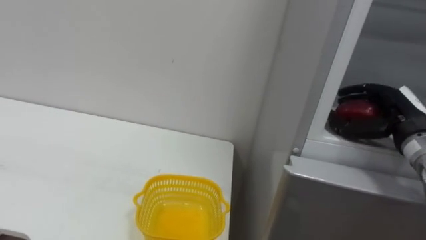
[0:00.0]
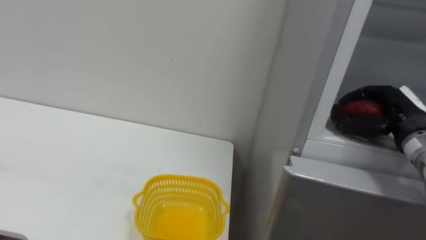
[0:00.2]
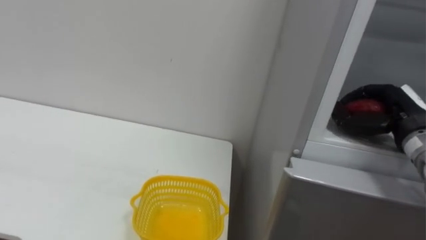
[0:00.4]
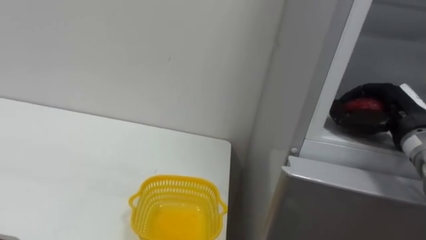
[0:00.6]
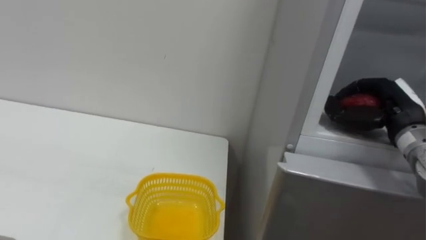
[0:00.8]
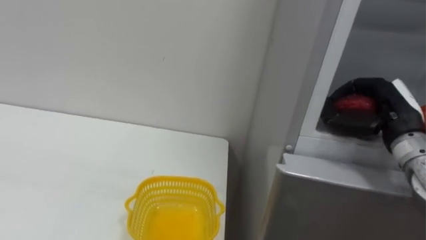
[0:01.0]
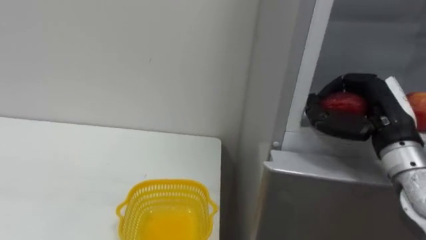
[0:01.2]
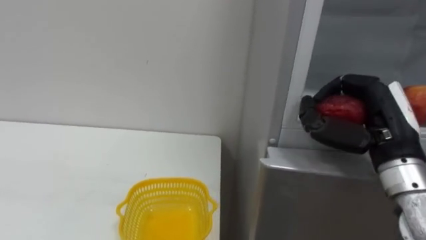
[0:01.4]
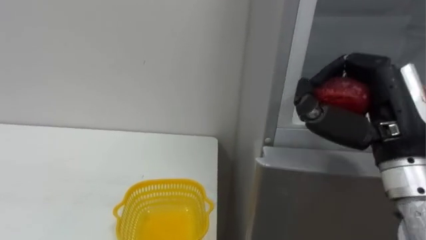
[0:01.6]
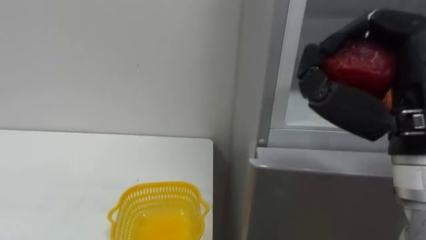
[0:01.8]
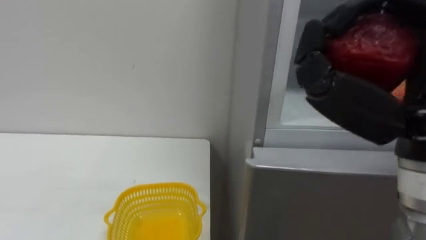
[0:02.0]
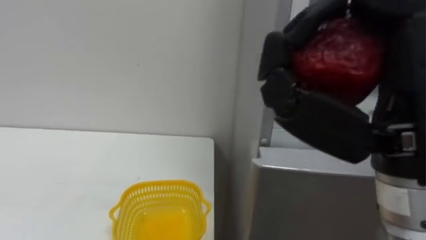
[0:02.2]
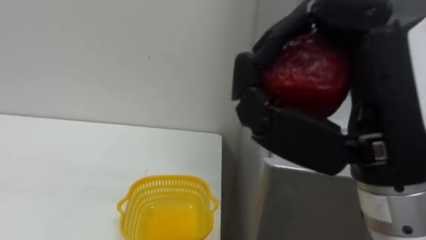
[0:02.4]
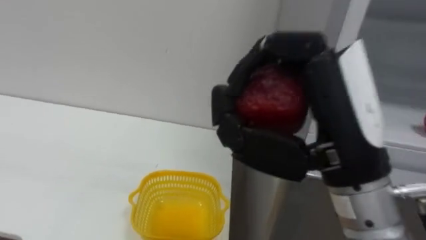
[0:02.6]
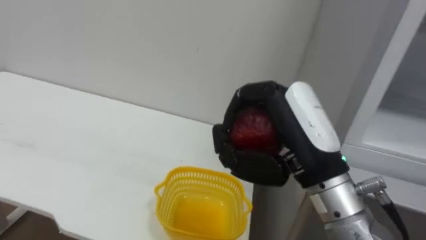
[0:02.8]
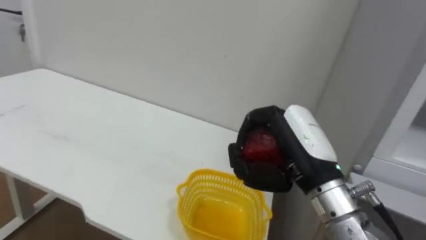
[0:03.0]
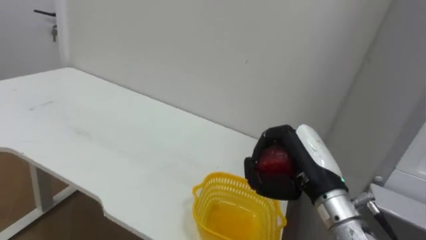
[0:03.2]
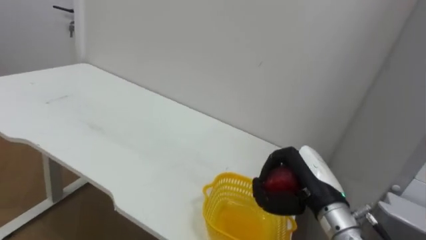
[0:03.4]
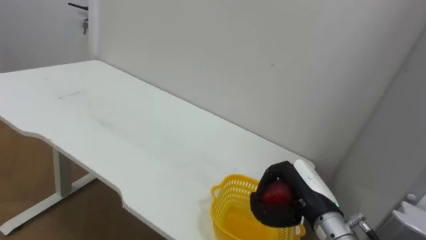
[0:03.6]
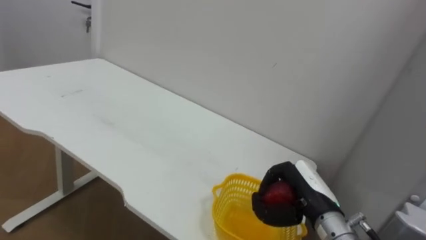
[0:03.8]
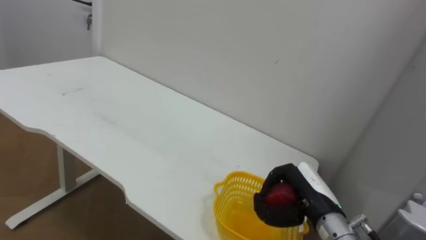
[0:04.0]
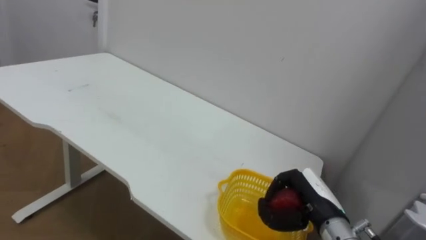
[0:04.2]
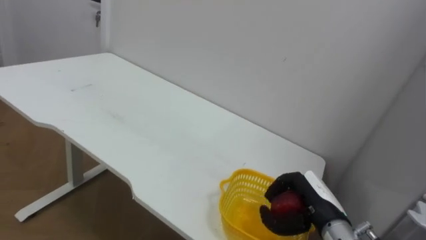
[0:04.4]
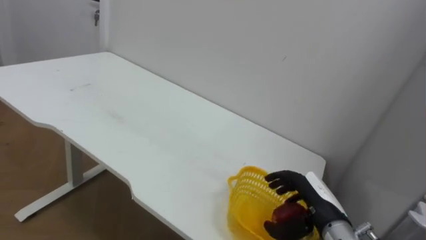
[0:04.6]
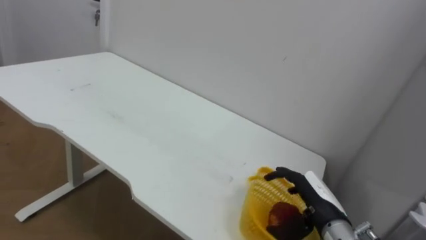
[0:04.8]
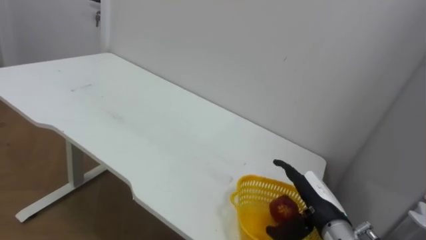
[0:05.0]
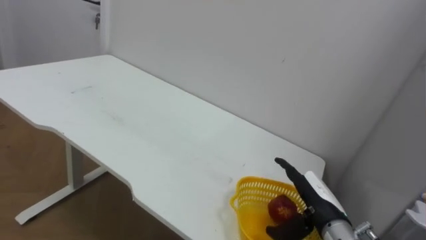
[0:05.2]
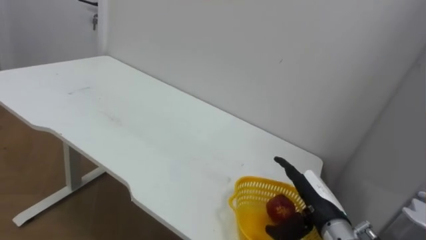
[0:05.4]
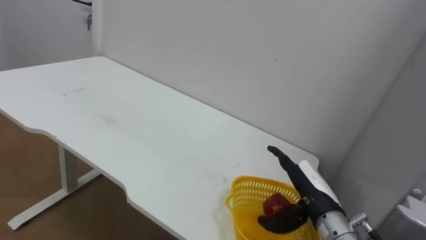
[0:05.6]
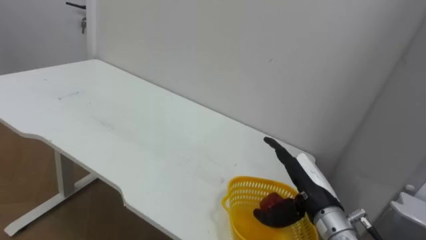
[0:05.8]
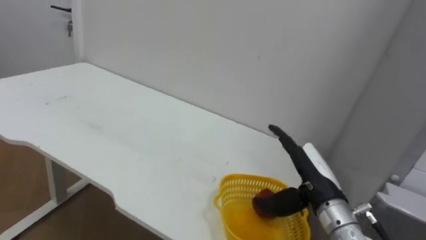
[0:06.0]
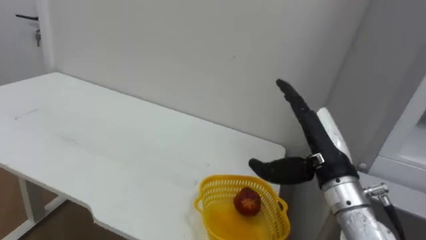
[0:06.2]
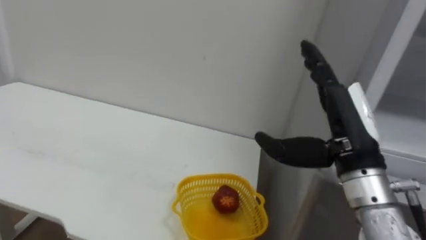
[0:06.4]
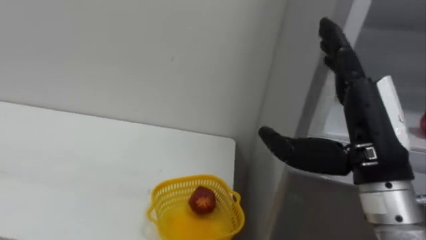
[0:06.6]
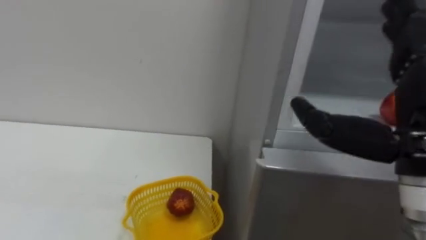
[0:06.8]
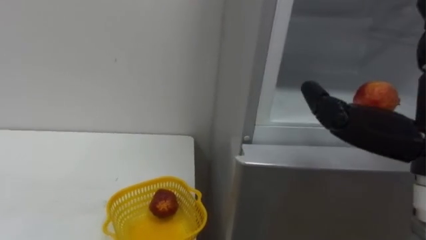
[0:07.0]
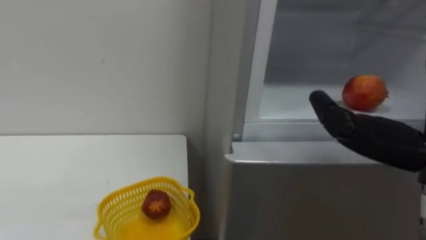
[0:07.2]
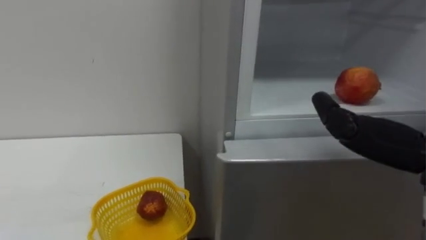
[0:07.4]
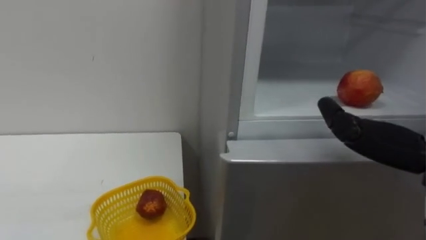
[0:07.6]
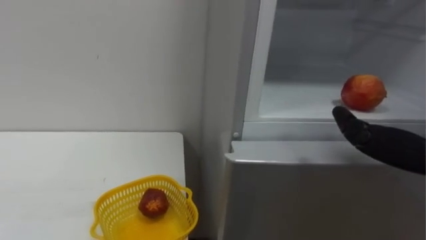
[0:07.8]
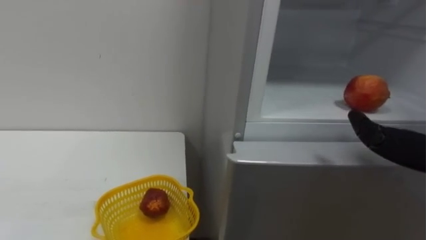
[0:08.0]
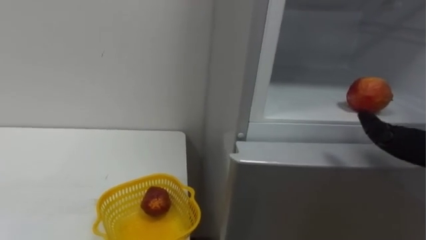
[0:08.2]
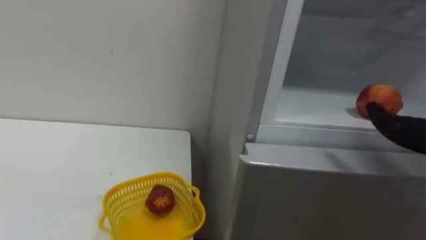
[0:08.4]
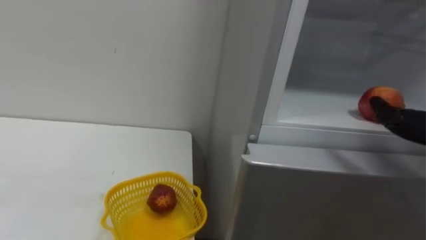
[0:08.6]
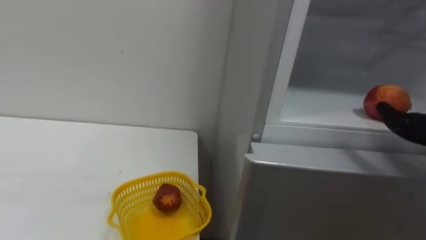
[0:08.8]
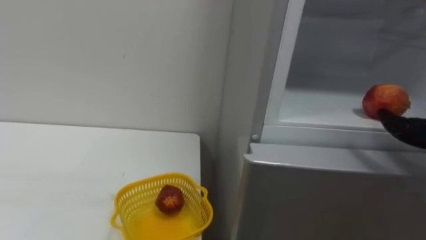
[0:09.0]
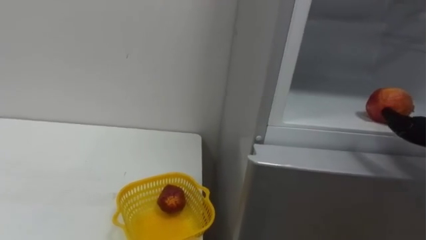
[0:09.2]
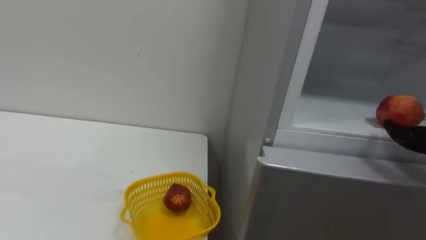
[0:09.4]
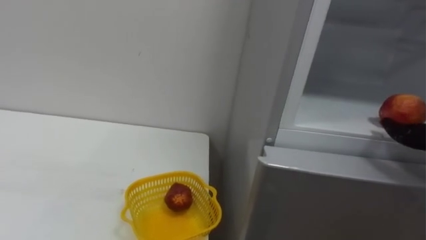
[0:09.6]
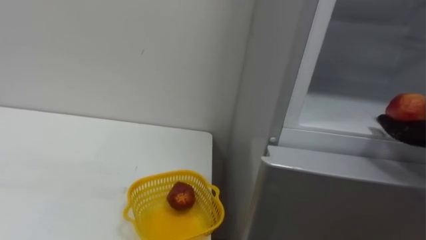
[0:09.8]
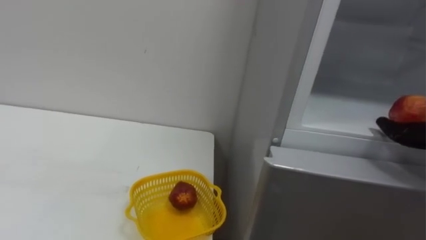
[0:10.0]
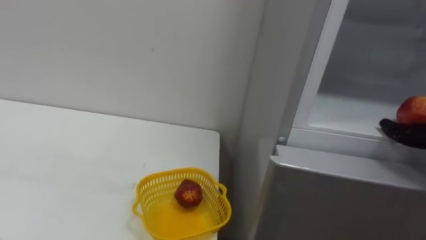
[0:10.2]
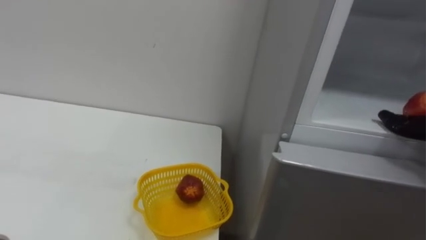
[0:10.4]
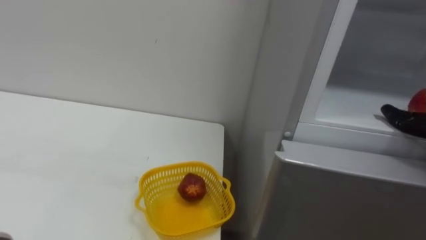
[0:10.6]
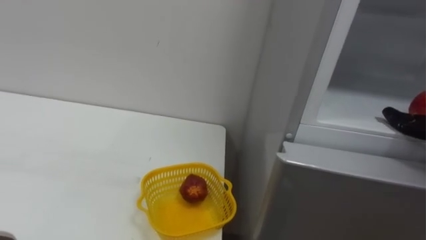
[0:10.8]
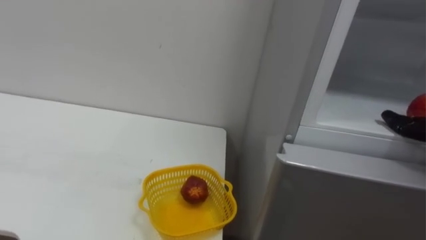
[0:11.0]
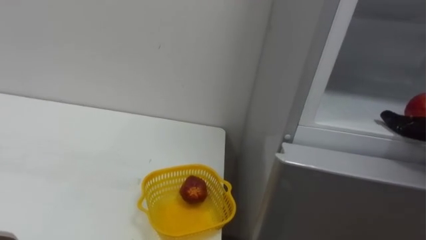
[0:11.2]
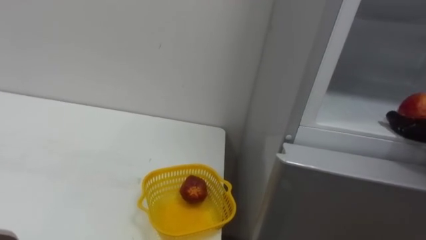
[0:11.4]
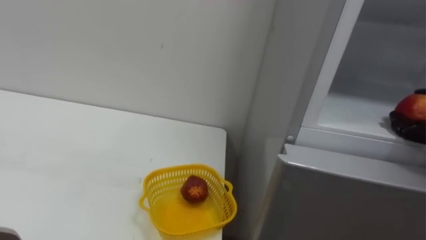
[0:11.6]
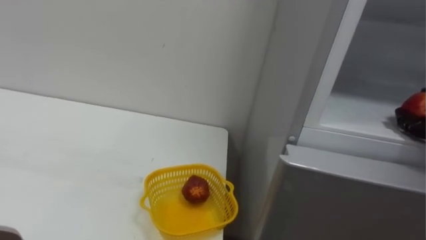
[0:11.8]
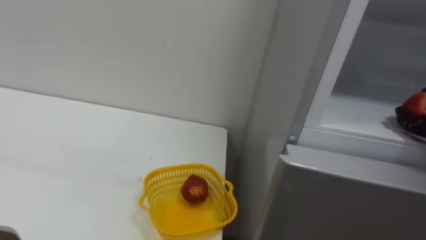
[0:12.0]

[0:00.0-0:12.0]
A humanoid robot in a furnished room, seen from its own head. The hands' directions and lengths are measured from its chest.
Task of the whole recording: Open the refrigerator door, take out the apple and the pomegranate, place them in the fruit basket on the left, and close the refrigerator door.
0.0 to 1.6 s: The right hand goes some 15 cm backward, to the left and upward.
1.6 to 3.0 s: The right hand shifts some 10 cm to the left and downward.
3.0 to 4.4 s: The right hand moves downward, approximately 15 cm.
4.4 to 6.0 s: The right hand travels upward by about 5 cm, and opens.

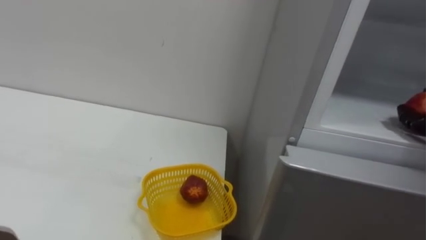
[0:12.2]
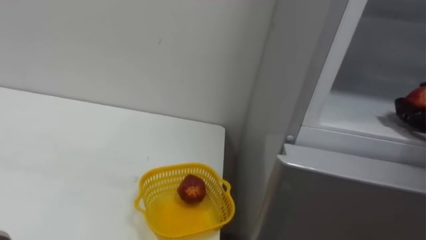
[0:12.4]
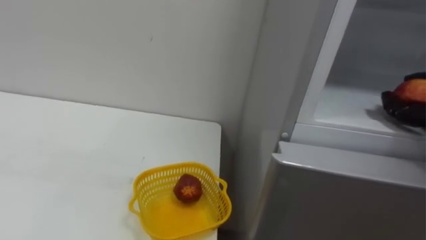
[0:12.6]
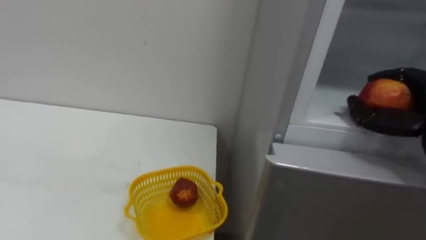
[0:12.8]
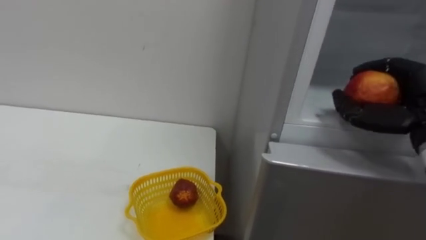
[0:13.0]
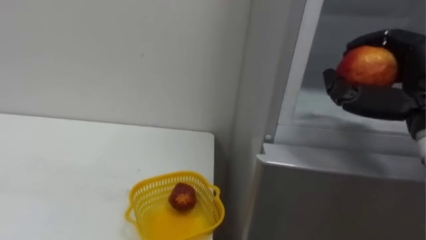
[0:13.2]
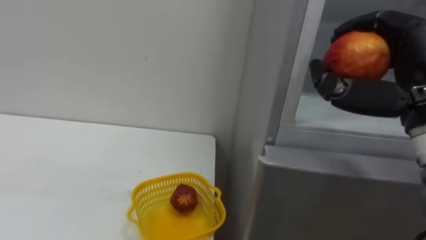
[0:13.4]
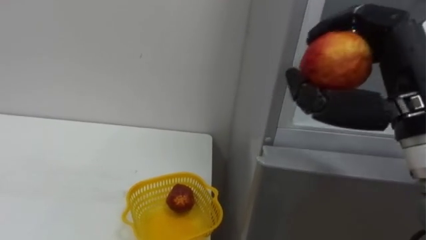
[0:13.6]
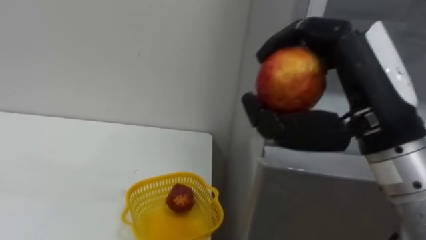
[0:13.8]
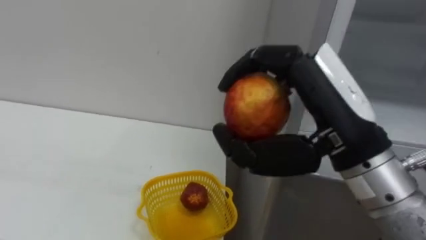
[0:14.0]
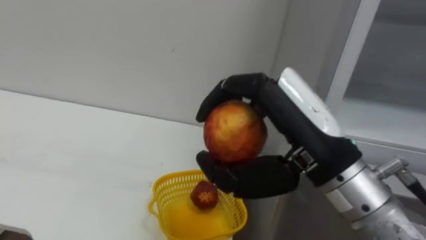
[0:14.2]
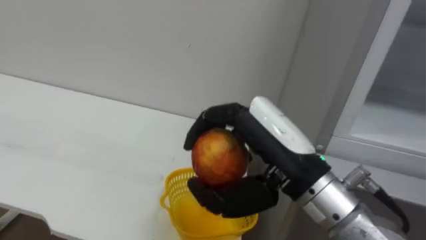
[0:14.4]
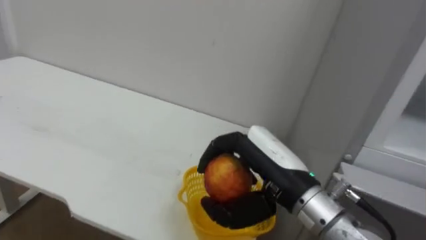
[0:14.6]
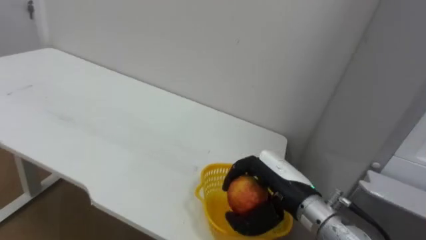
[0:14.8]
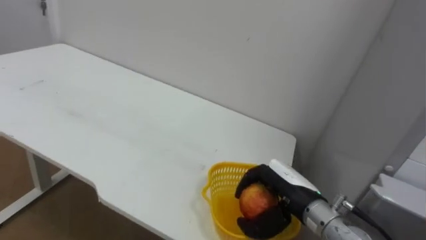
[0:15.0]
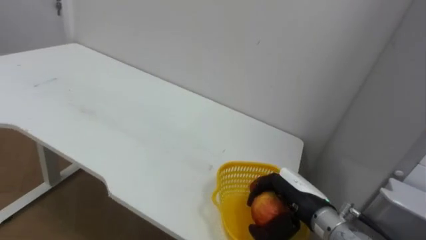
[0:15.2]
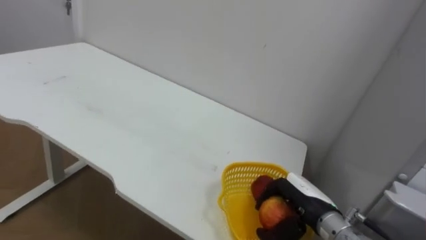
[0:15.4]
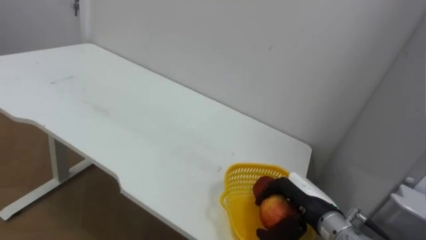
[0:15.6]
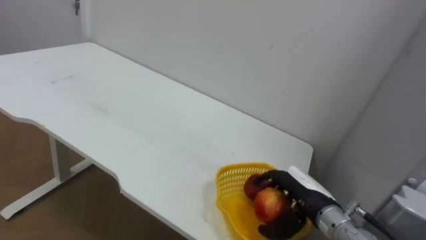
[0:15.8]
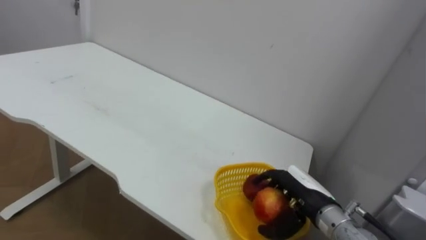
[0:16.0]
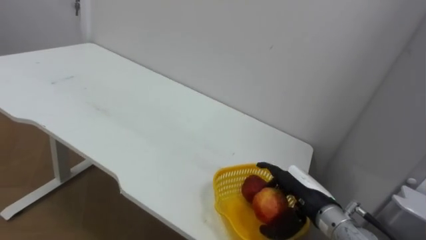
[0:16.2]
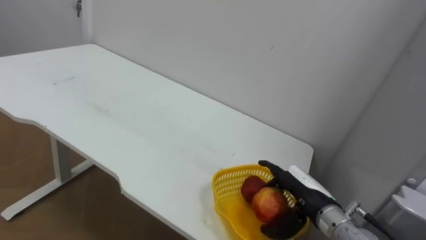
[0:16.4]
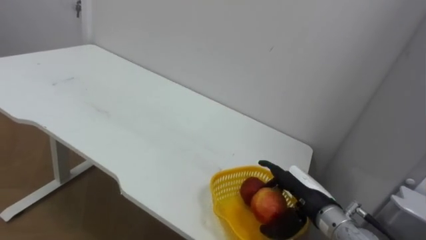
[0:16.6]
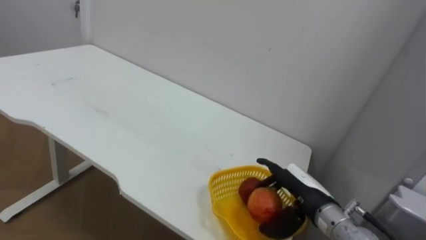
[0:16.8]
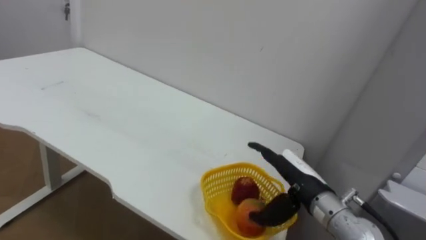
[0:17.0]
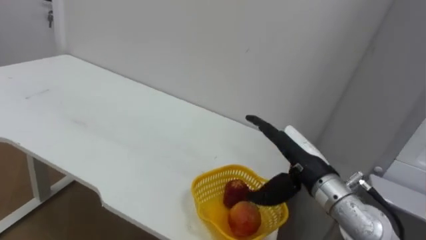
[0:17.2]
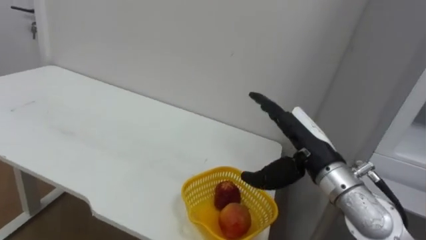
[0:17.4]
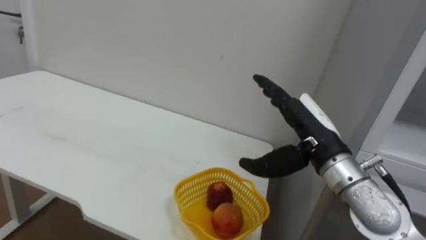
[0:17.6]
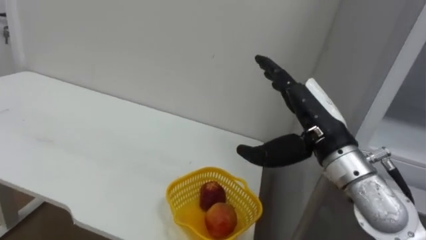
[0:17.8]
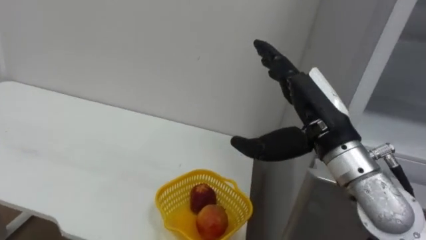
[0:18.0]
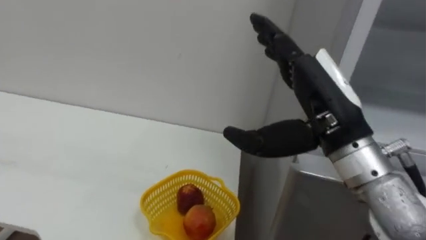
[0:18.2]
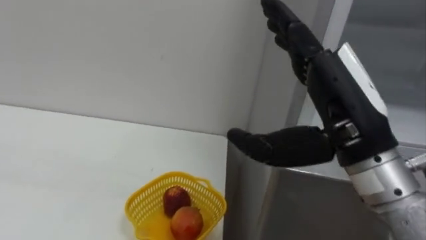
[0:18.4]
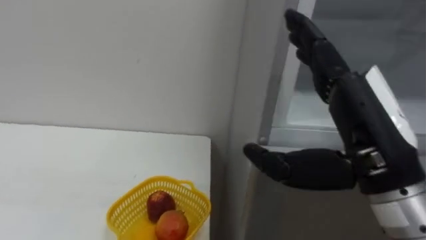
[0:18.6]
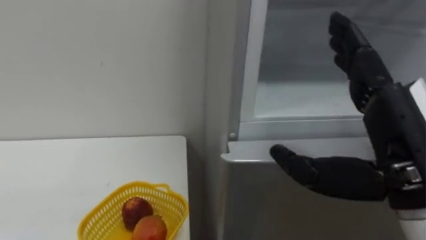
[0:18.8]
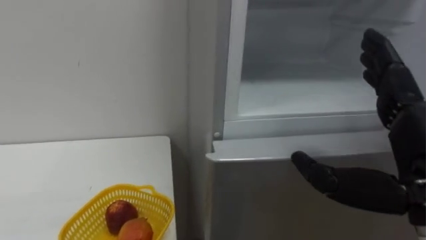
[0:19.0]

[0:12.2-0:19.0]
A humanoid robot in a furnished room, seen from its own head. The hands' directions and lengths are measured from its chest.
Task of the whole recording: Open the refrigerator door, take out the apple and the pomegranate, place them in the fruit basket on the left, and close the refrigerator door.
13.6 to 15.0 s: The right hand is displaced downward by roughly 25 cm.
15.0 to 16.2 s: The right hand opens.
16.2 to 17.6 s: The right hand travels upward by some 15 cm.
17.6 to 19.0 s: The right hand shifts approximately 15 cm backward and to the right.
